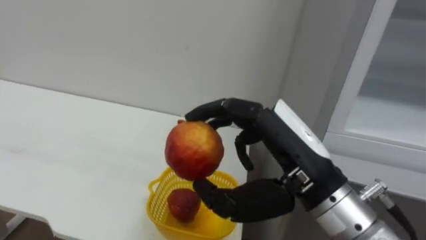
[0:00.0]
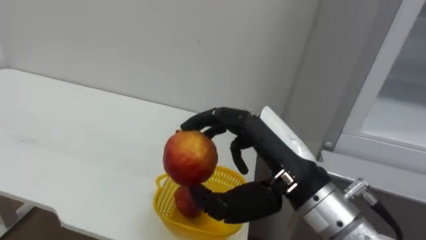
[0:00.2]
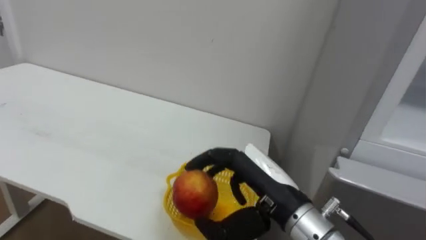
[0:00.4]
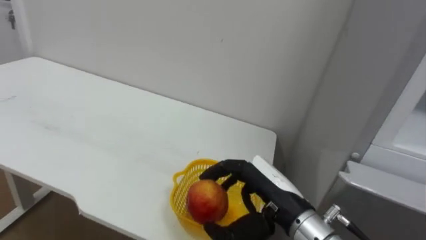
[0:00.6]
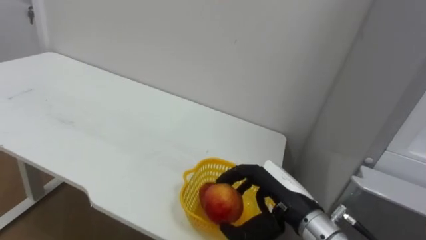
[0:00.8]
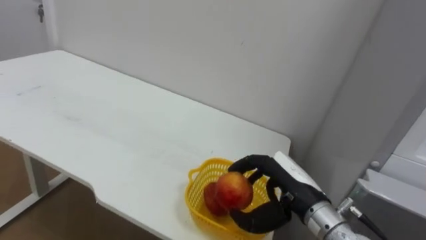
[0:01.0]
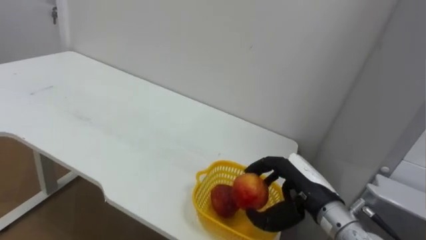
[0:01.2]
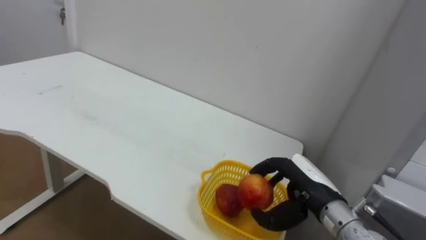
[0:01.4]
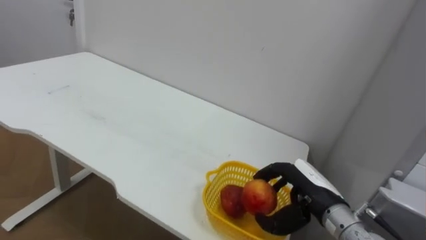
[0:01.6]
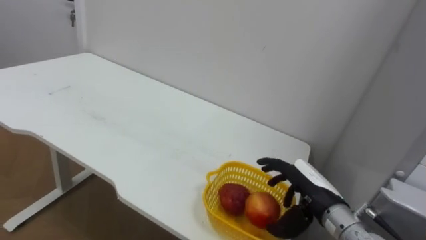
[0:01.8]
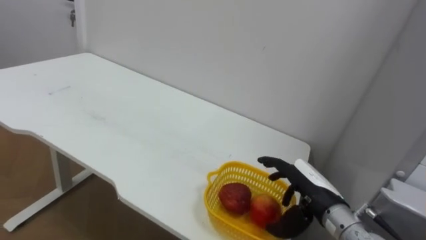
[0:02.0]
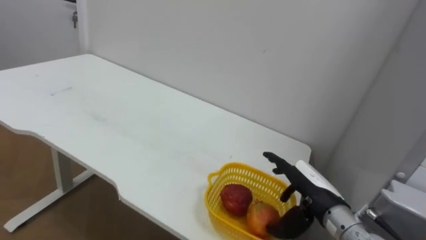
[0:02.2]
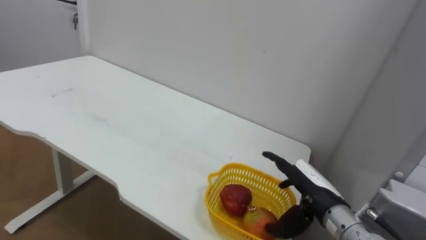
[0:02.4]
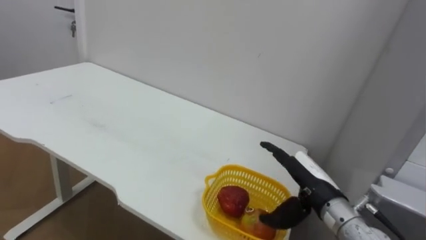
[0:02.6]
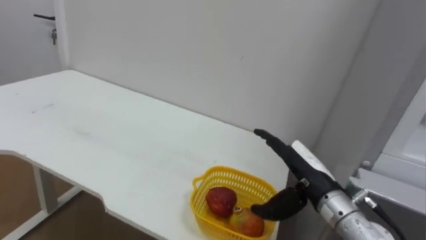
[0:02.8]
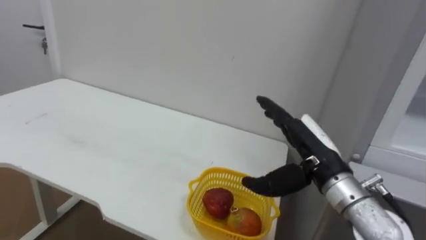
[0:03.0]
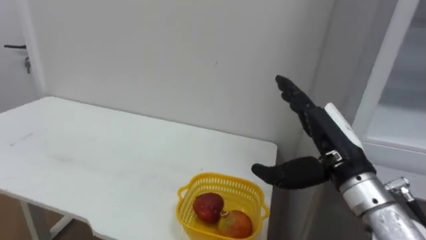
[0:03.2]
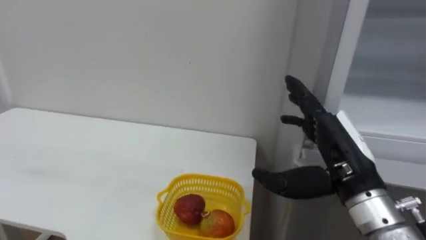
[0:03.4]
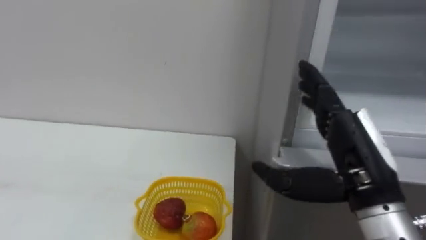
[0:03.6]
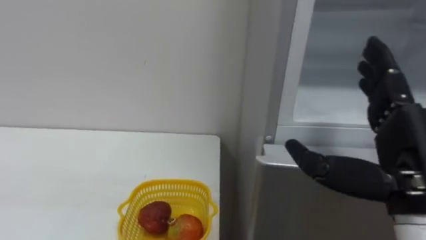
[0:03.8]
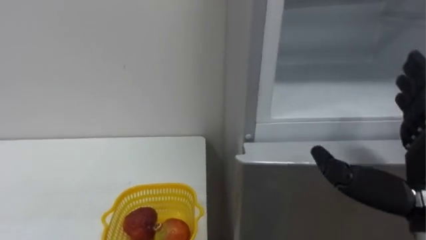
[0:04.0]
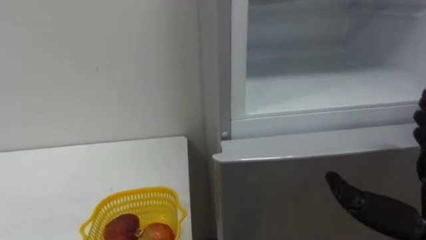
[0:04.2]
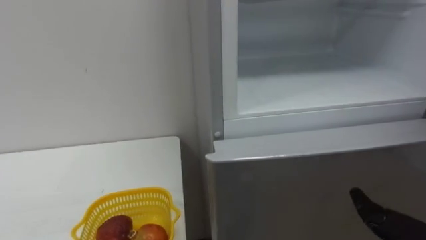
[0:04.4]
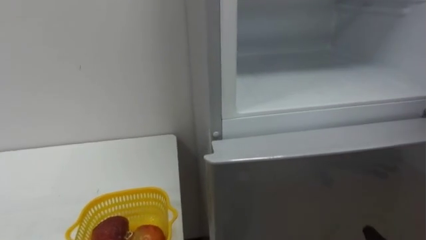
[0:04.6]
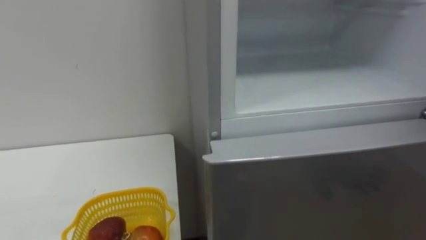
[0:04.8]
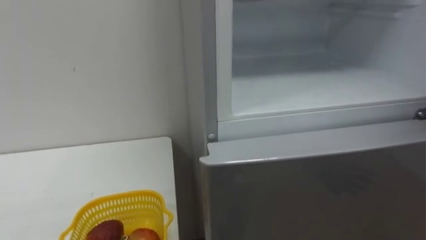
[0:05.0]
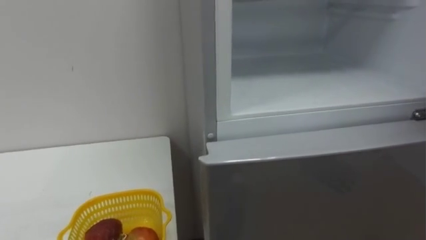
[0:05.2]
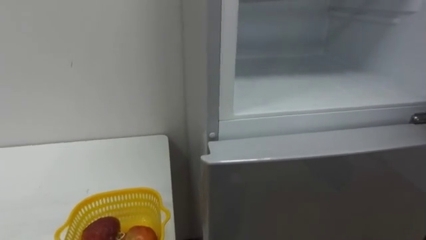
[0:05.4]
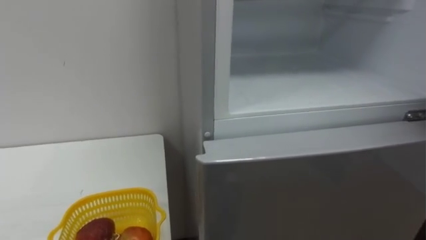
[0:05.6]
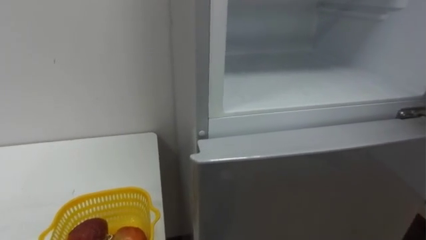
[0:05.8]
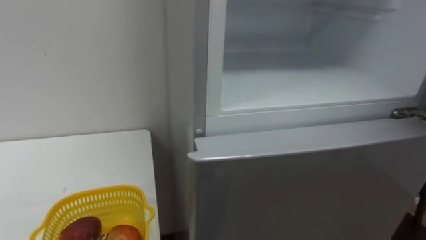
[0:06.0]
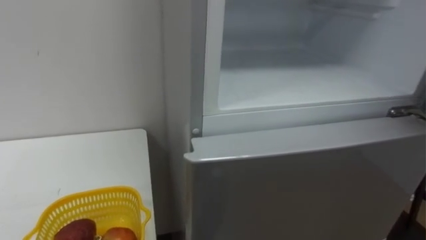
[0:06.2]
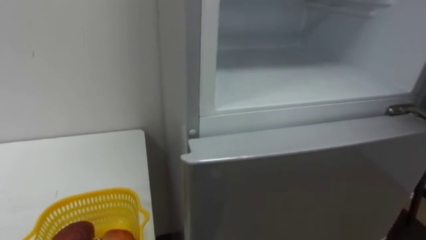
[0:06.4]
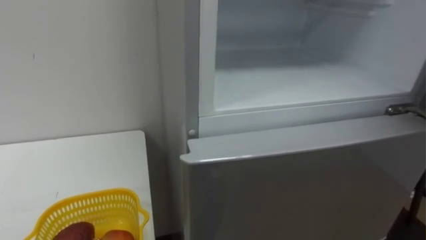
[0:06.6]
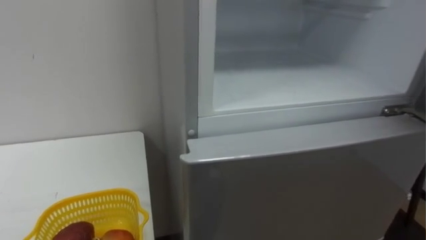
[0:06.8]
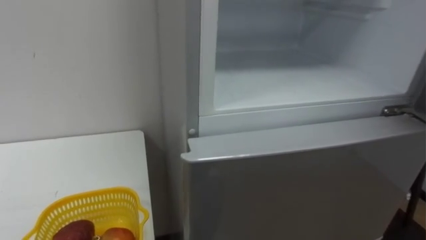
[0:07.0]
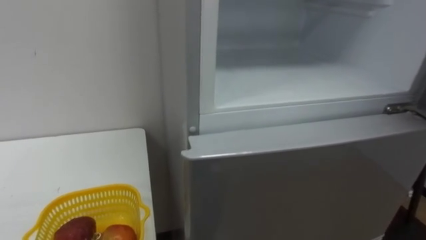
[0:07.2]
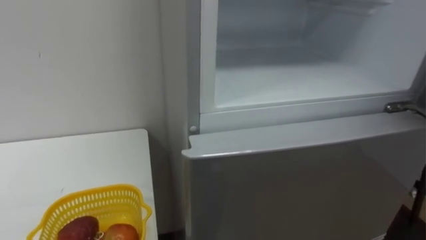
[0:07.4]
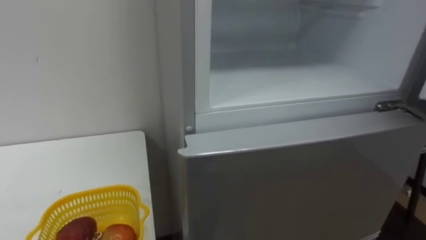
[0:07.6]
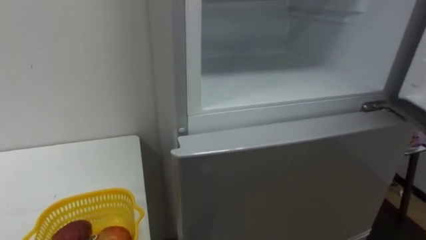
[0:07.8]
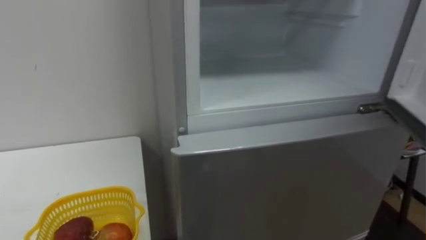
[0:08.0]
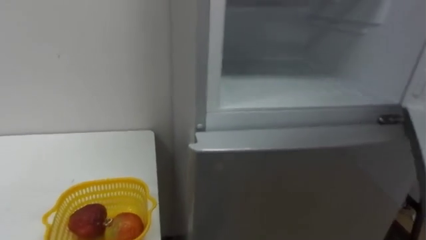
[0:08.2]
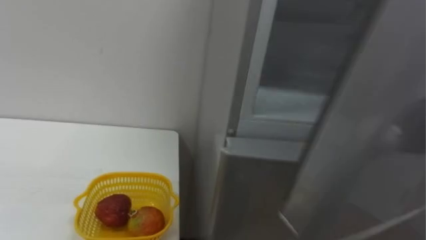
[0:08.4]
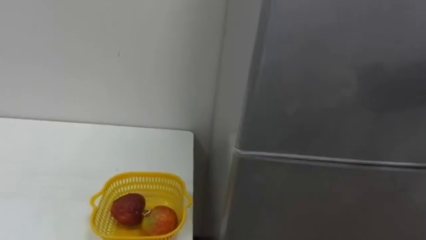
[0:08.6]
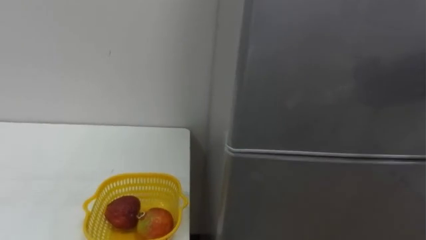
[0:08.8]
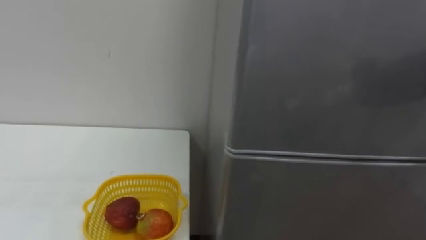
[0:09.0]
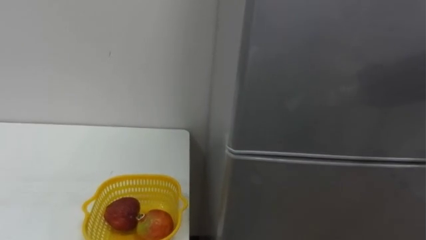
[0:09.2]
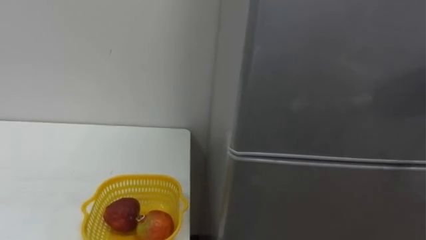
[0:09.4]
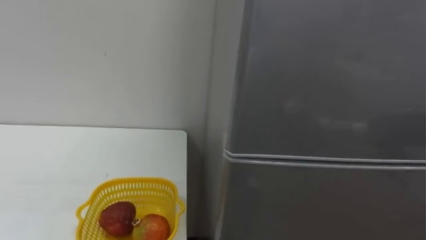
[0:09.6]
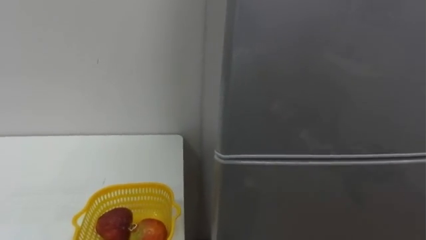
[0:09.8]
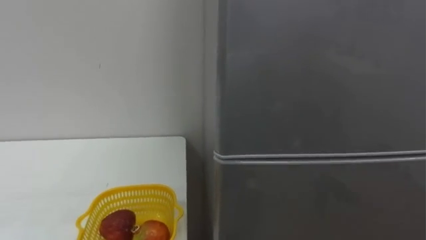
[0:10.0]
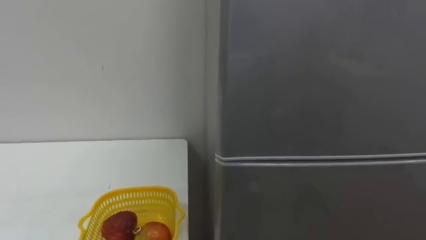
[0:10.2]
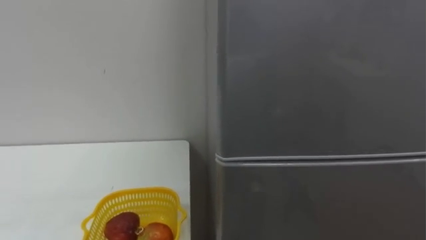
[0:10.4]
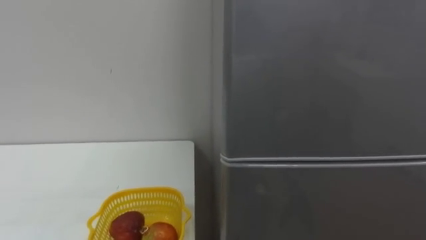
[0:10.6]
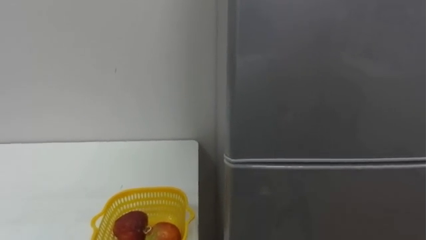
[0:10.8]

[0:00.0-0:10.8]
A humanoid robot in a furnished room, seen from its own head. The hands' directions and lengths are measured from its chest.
Task of the whole recording: Open the refrigerator door, take out the apple and the pomegranate, place them in the fruit basket on the left, and close the refrigerator door.
0:00.0 to 0:01.6: The right hand heads downward, forward and to the right, covering roughly 20 cm.
0:01.6 to 0:03.0: The right hand shifts approximately 10 cm upward, and opens its fingers.

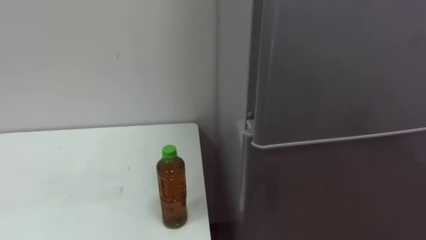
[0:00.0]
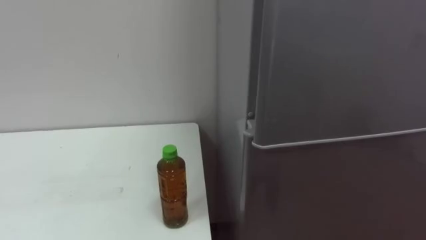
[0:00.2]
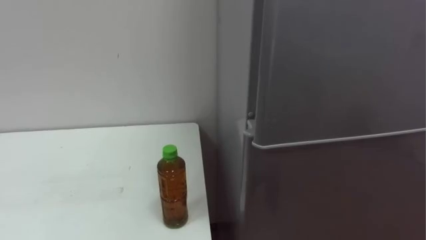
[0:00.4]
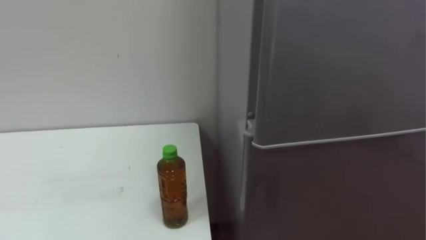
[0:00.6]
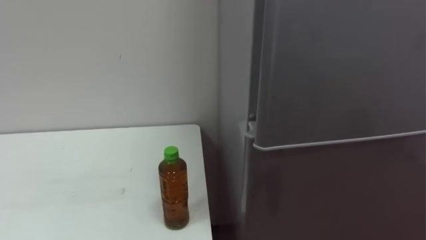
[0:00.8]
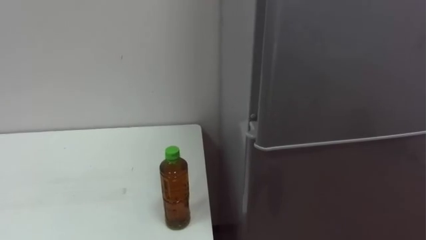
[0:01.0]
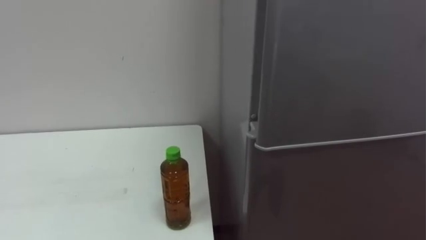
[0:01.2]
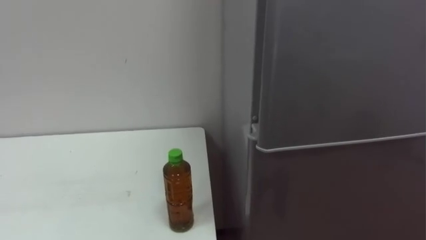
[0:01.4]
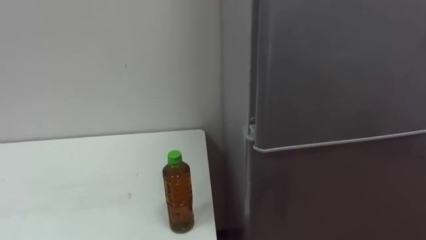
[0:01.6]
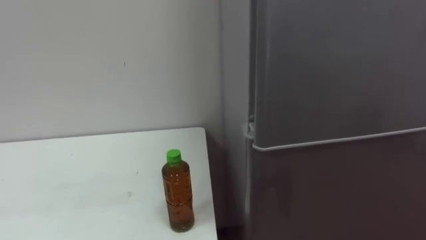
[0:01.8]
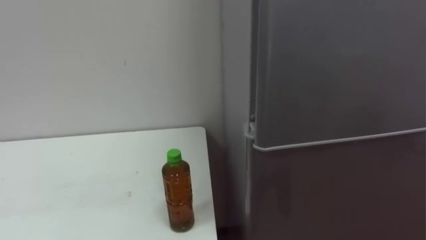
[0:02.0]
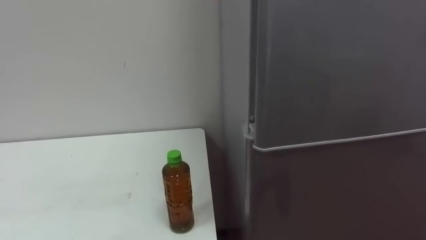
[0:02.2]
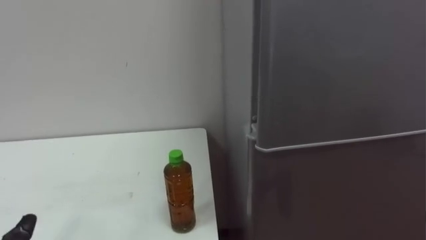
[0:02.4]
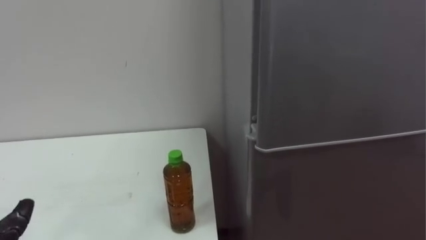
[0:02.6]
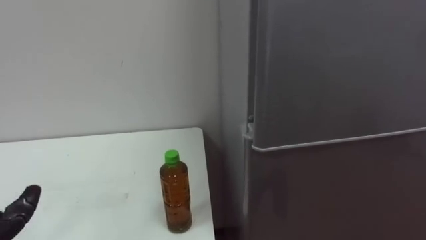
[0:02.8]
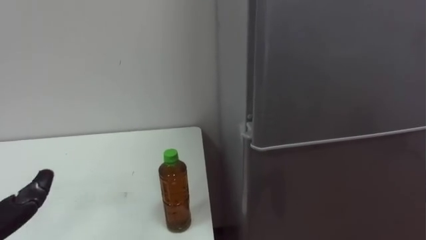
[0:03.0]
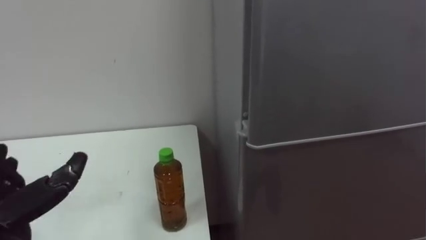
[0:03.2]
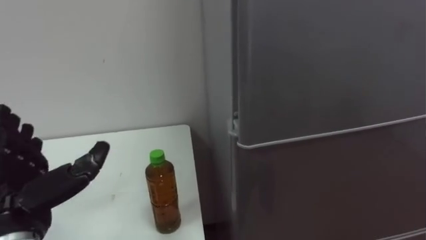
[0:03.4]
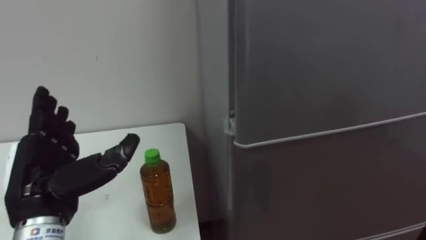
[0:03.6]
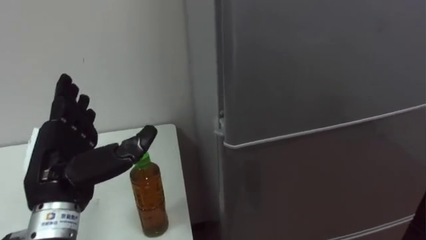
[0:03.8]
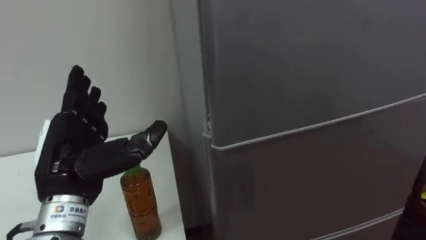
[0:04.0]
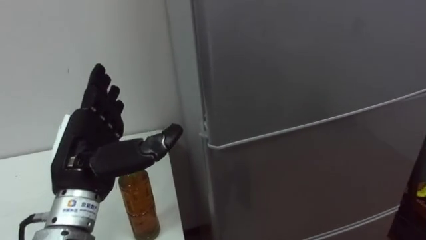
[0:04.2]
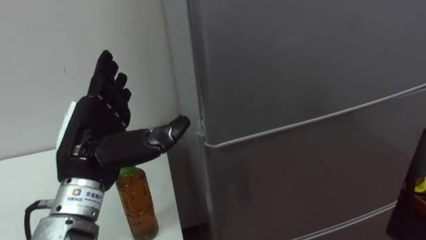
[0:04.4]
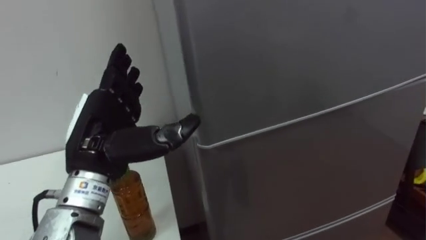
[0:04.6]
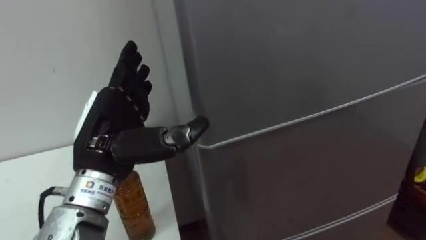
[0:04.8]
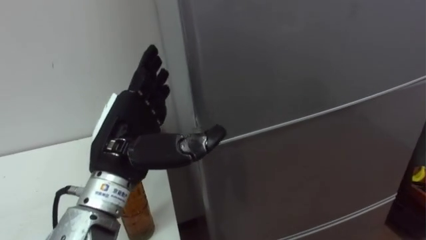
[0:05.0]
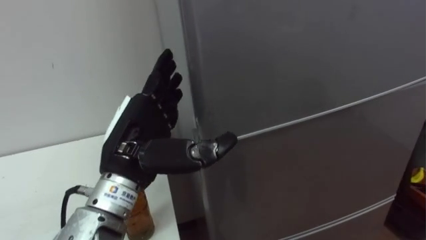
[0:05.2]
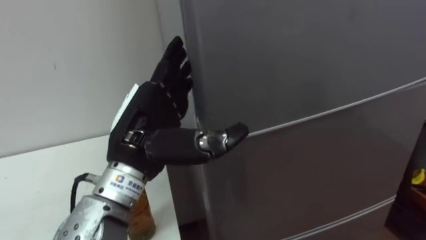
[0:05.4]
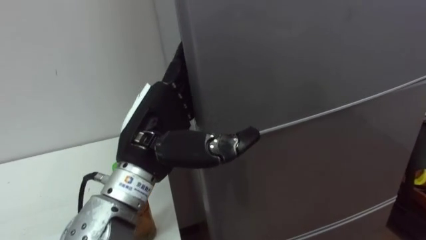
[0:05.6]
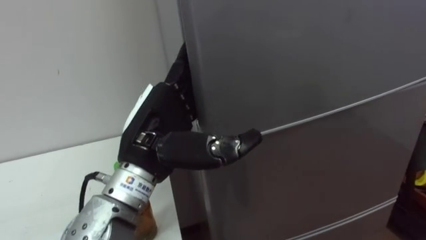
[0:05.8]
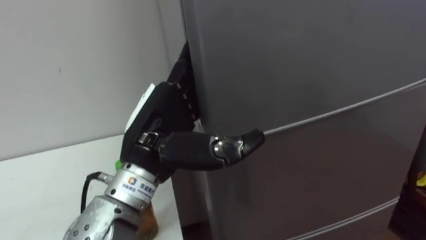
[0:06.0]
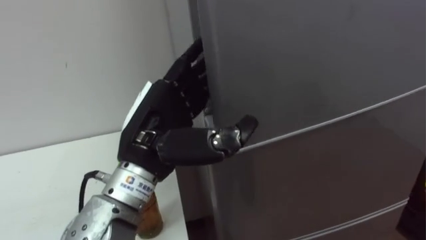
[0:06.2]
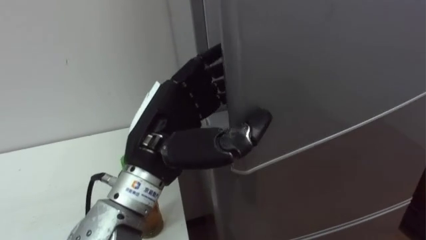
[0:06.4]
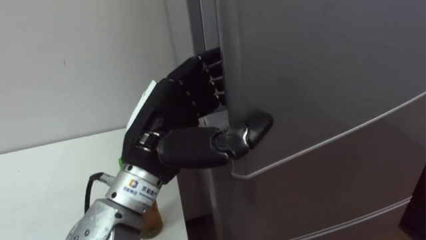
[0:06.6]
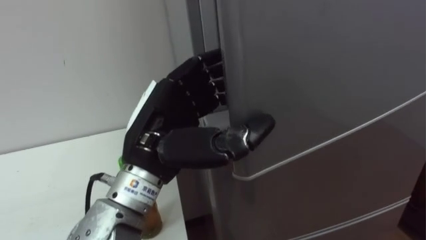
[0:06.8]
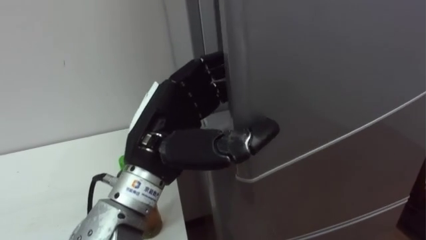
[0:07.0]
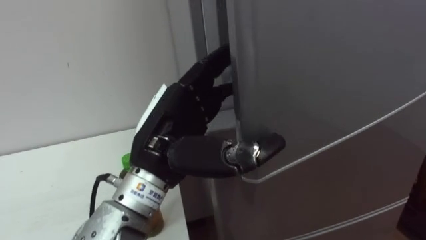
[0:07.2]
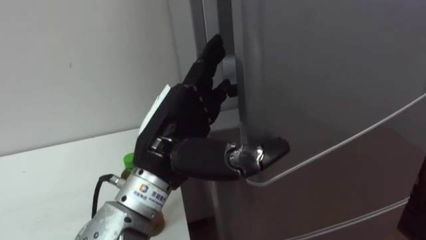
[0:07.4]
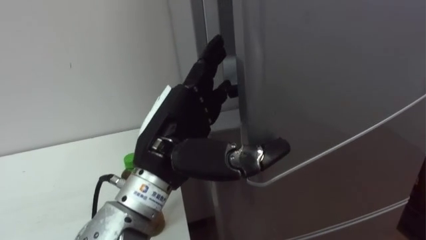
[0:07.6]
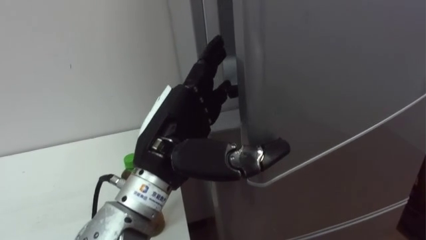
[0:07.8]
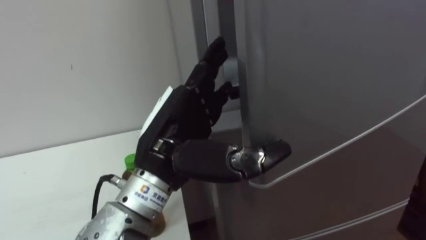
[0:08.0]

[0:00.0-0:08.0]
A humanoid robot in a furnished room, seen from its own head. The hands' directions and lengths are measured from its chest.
Task of the whole recording: Open the upper refrigerator door, put the drink from the table into the refrigerator, and then close the refrigerator door.
0:04.8 to 0:06.4: The left hand moves to the right, about 10 cm, and closes its fingers.
0:06.4 to 0:08.0: The left hand opens up.
